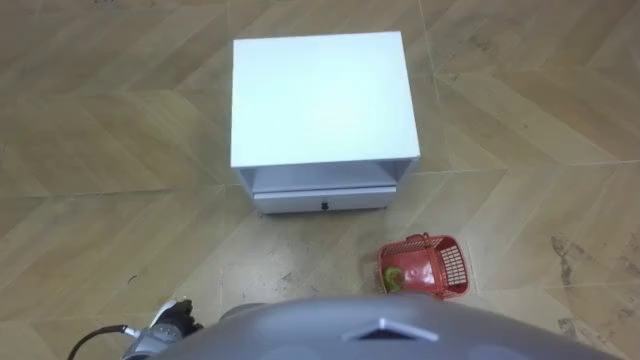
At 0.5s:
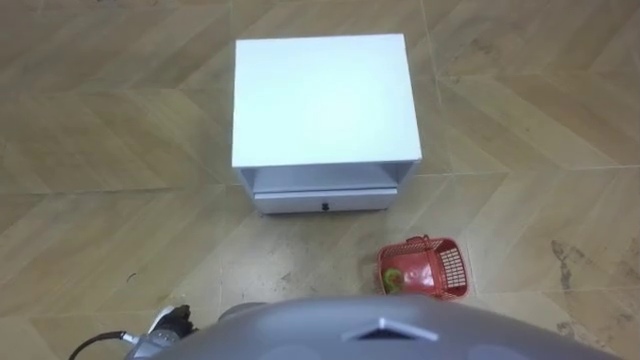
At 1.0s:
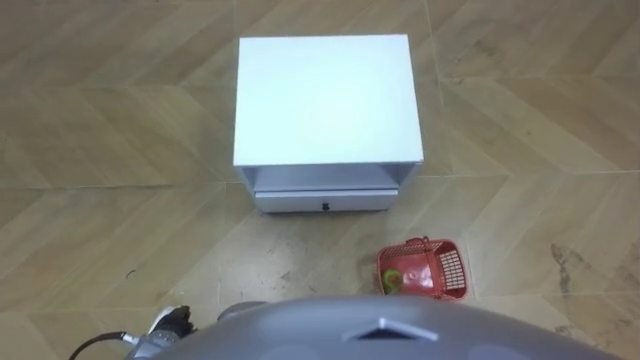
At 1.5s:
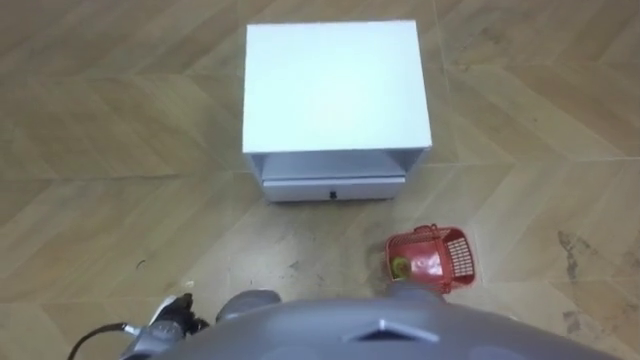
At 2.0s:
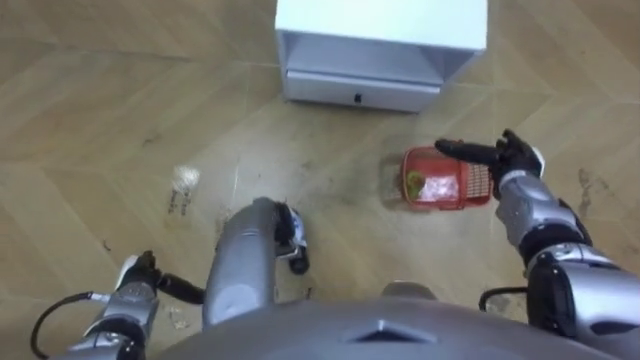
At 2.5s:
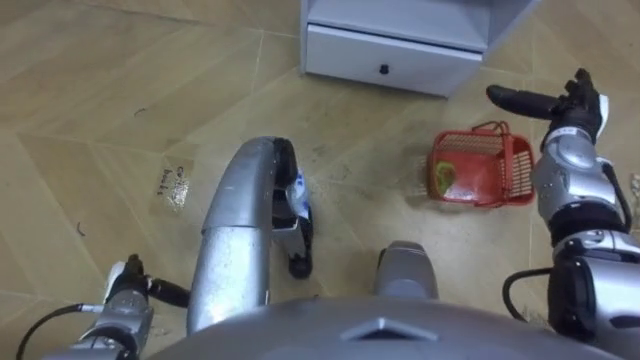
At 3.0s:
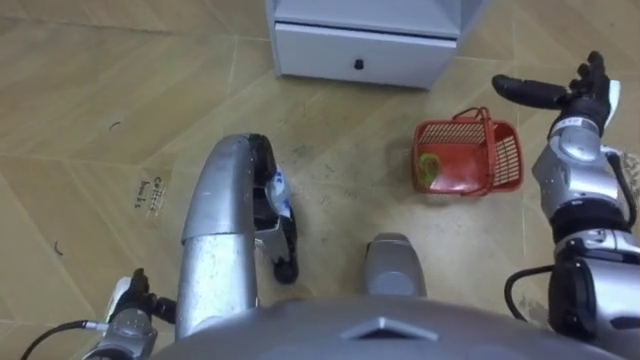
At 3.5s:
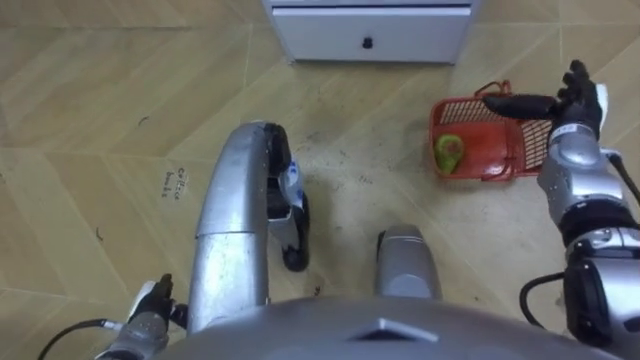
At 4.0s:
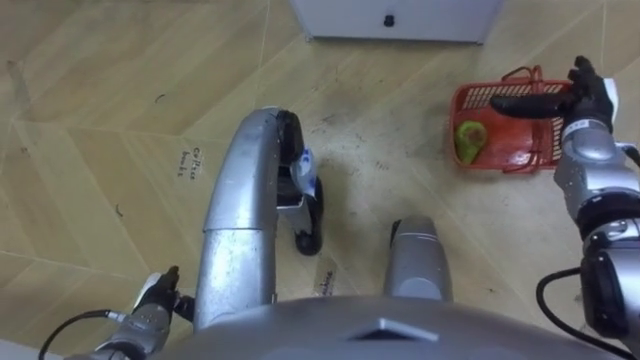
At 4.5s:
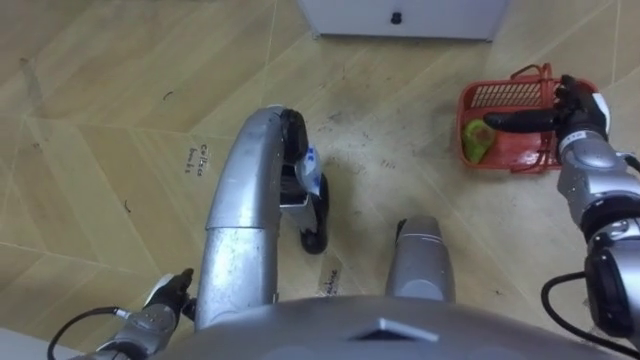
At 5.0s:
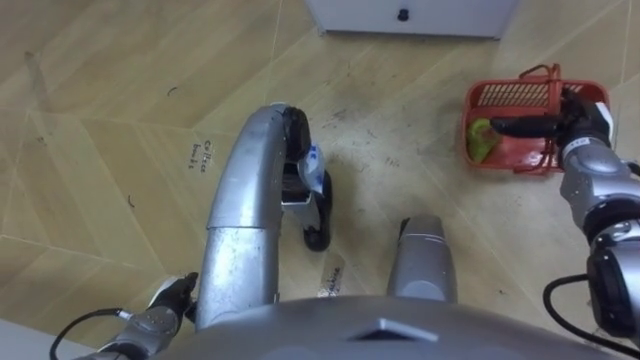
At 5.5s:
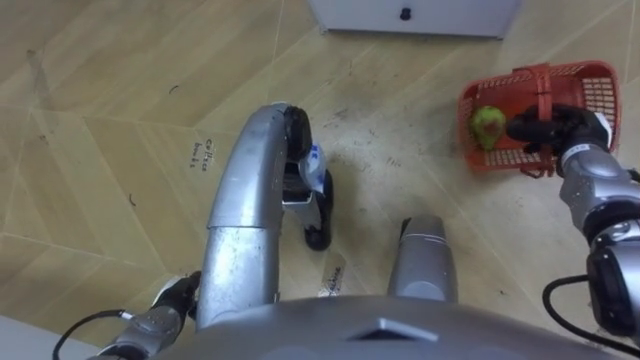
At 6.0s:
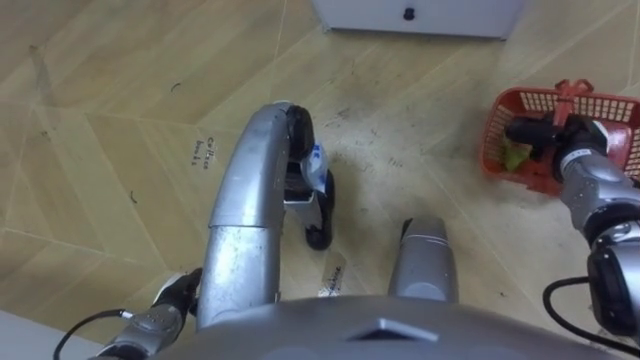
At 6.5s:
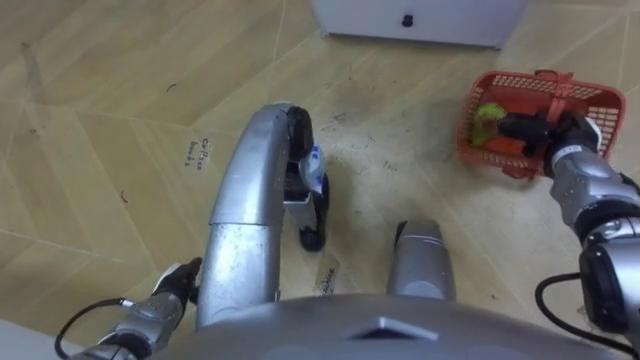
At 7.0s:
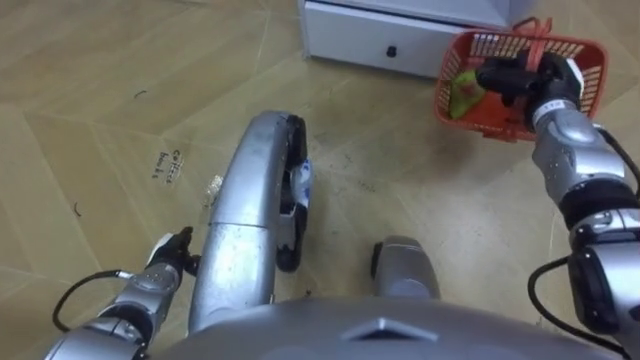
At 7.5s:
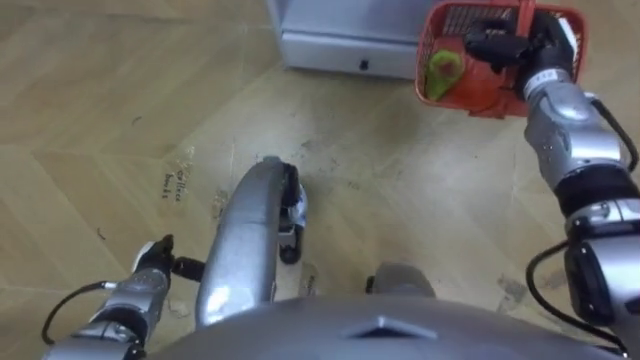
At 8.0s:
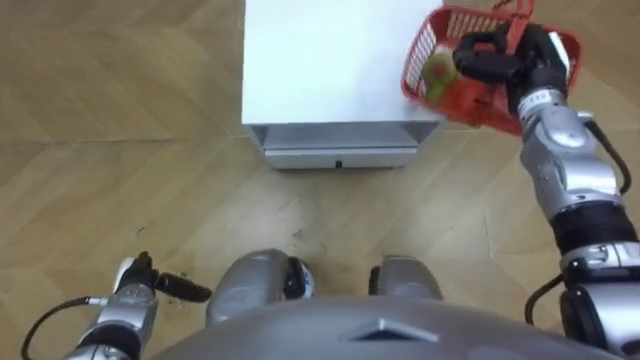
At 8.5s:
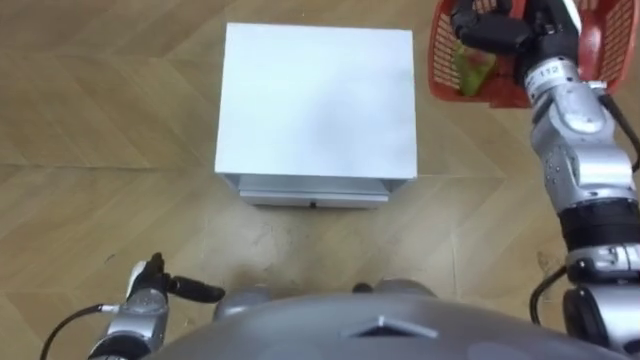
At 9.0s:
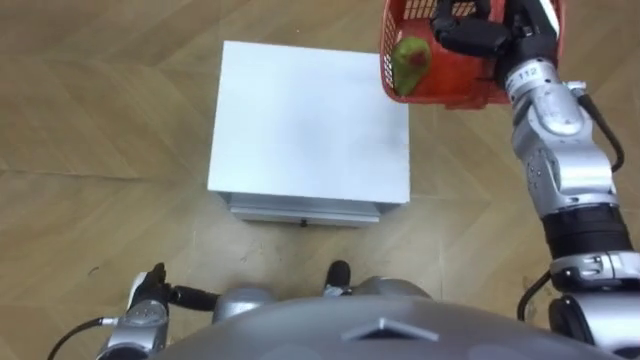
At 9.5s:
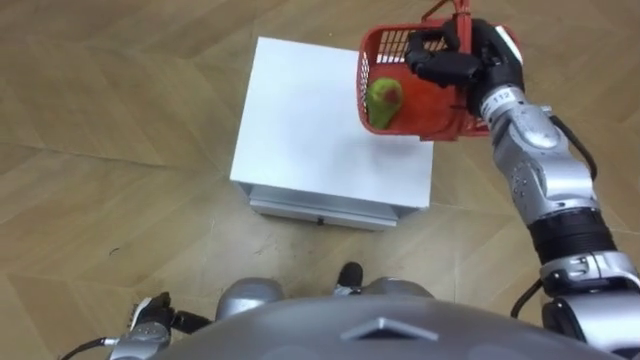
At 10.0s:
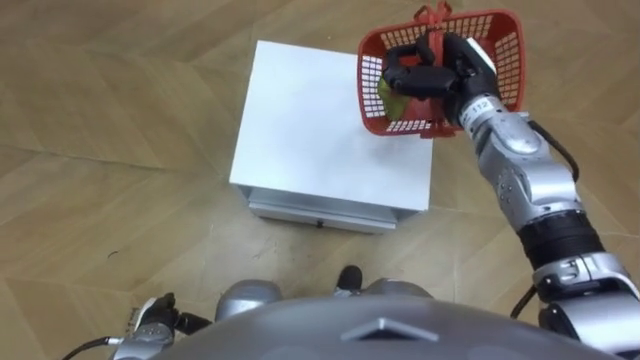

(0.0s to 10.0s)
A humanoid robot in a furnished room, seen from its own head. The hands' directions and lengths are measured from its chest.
Task of the whole recording: Pick up the fruit basket from the floor and place it on the cabinet.
2.0s - 4.0s: The right hand moves upward, to the right and forward, roughly 10 cm.
4.0s - 6.0s: The right hand moves about 5 cm, and closes its fingers.
6.0s - 8.0s: The right hand is displaced upward, to the left and forward by roughly 15 cm; the left hand shifts about 5 cm to the left.
8.0s - 10.0s: The left hand goes approximately 5 cm backward, while the right hand is displaced to the left by approximately 10 cm.

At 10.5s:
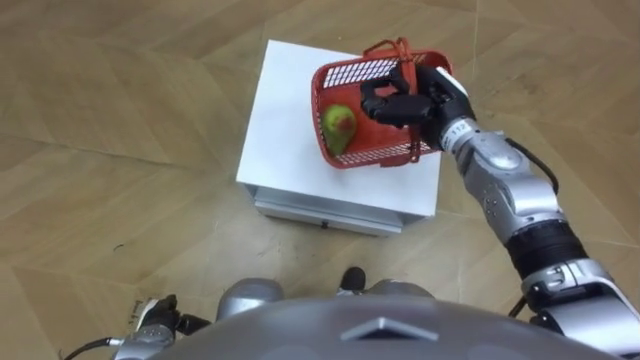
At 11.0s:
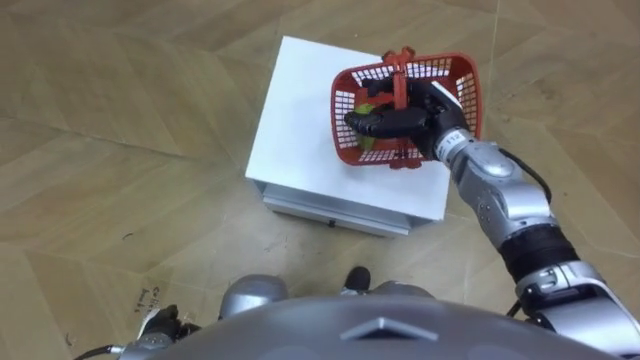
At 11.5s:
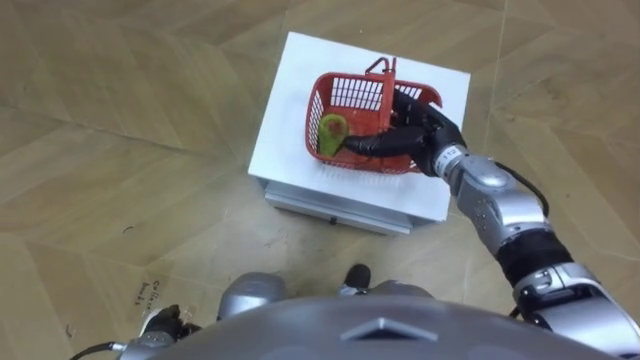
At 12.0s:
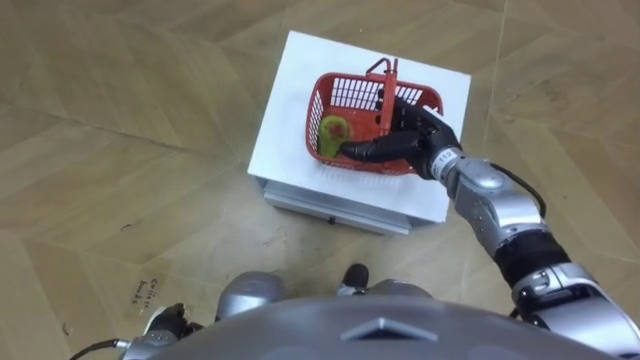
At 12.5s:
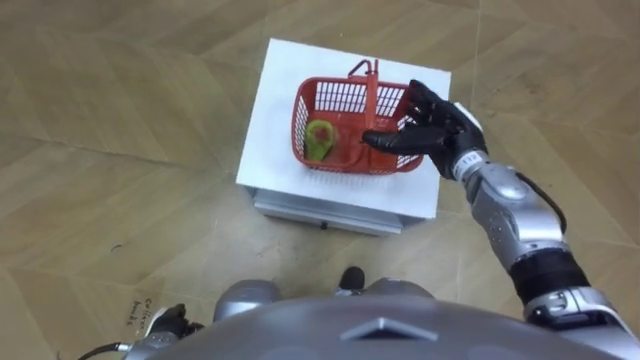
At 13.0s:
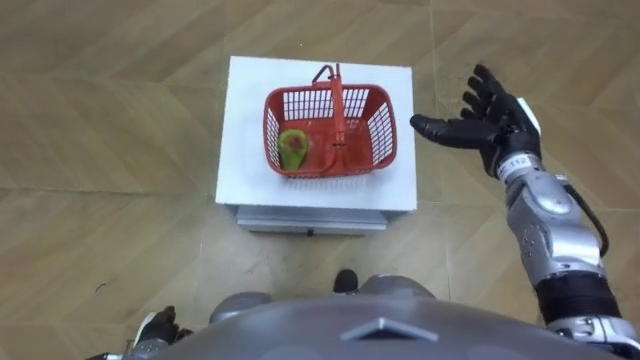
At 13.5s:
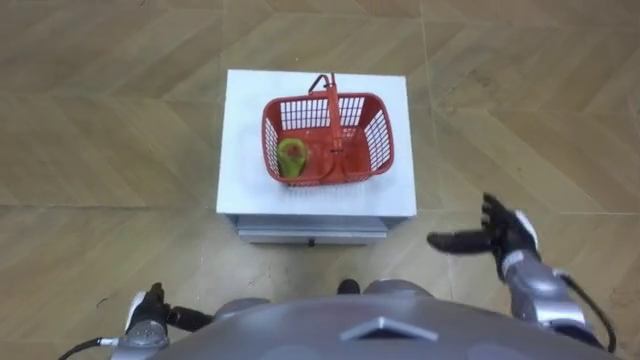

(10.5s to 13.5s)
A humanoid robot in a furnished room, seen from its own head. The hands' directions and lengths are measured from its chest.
Task of the whole recording: Pick up the fruit basket from the floor and place it on the cabinet.
10.5s - 12.0s: The right hand changes place by some 5 cm, and opens up.
12.0s - 13.5s: The right hand heads to the right, backward and downward, covering roughly 20 cm.

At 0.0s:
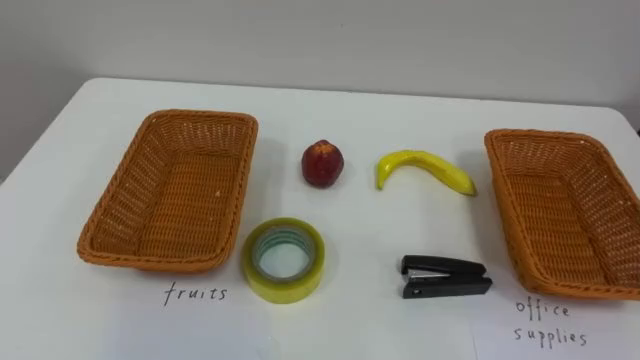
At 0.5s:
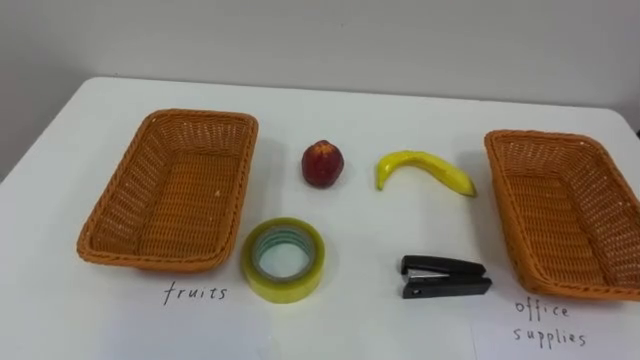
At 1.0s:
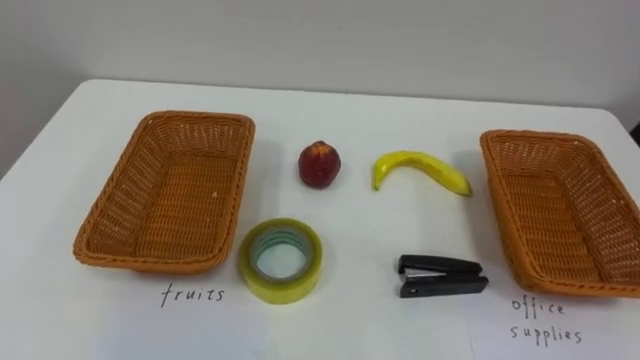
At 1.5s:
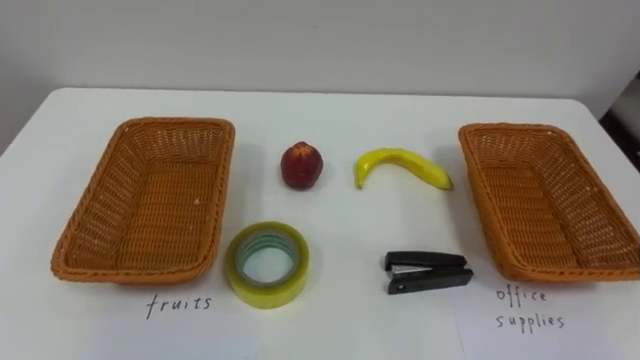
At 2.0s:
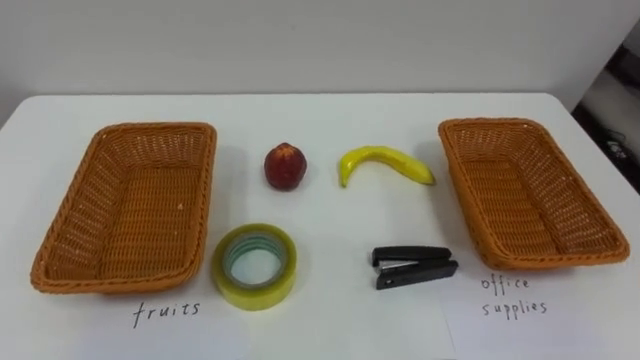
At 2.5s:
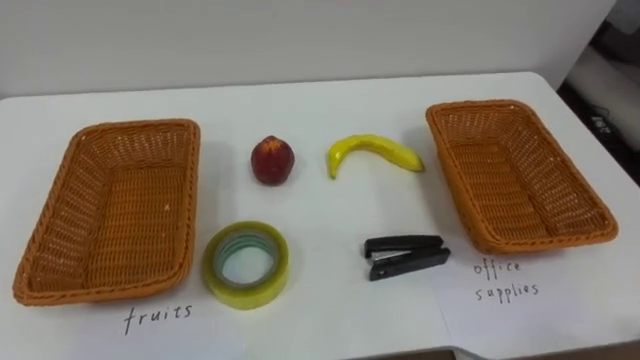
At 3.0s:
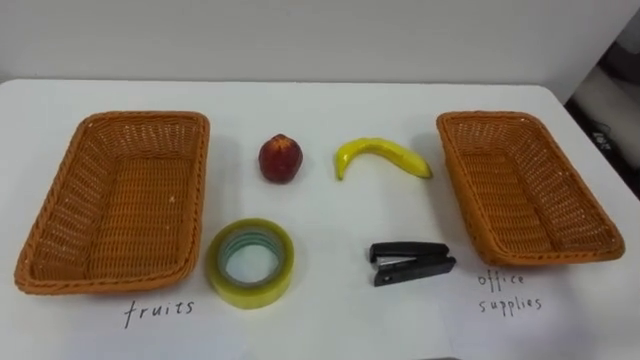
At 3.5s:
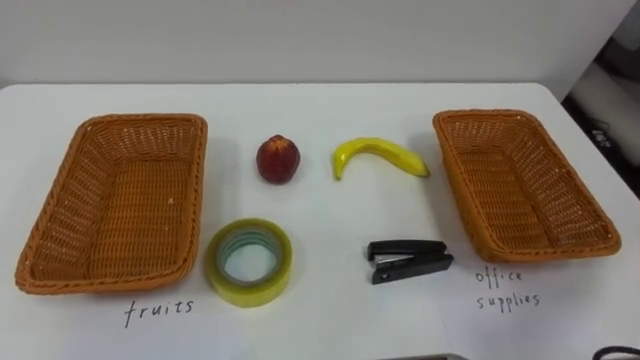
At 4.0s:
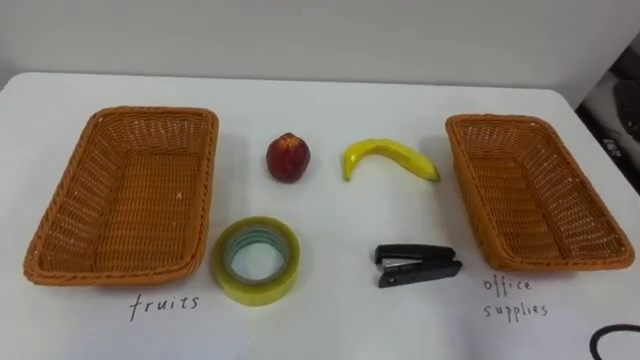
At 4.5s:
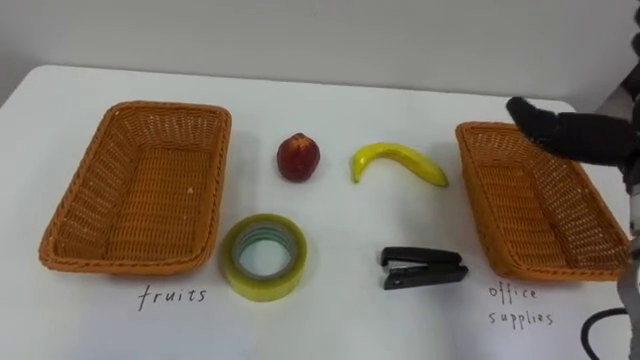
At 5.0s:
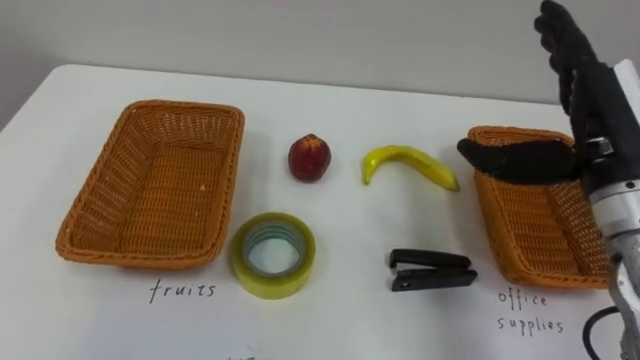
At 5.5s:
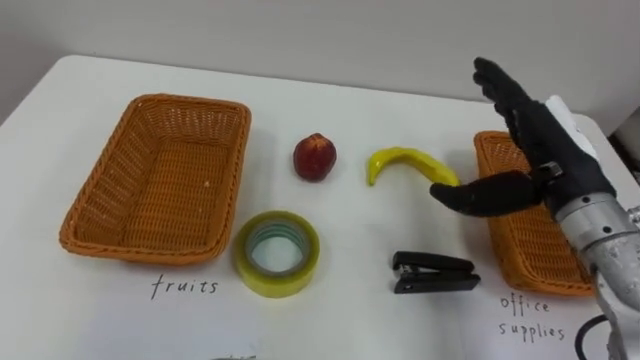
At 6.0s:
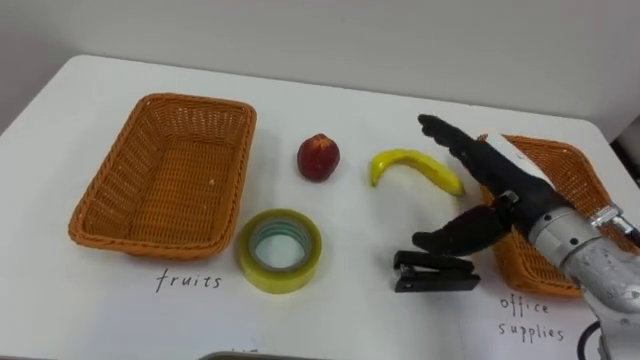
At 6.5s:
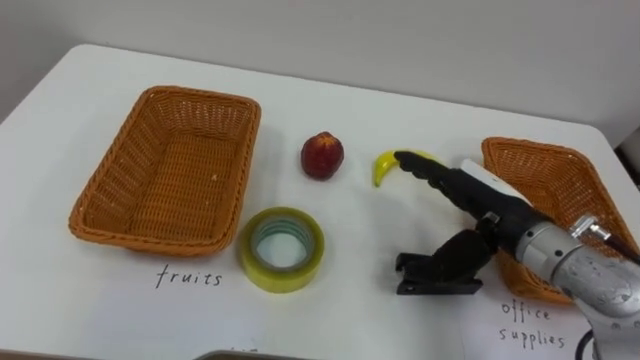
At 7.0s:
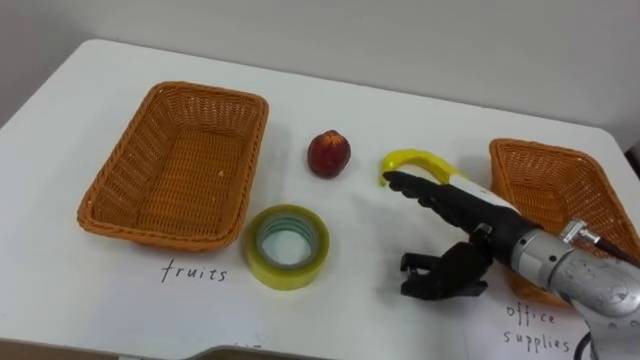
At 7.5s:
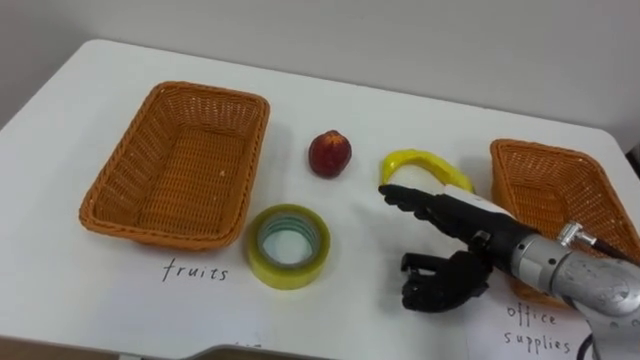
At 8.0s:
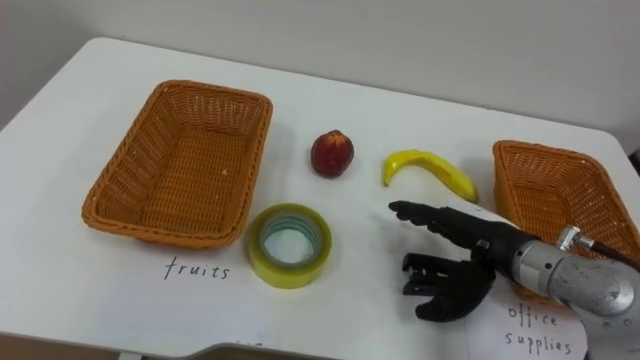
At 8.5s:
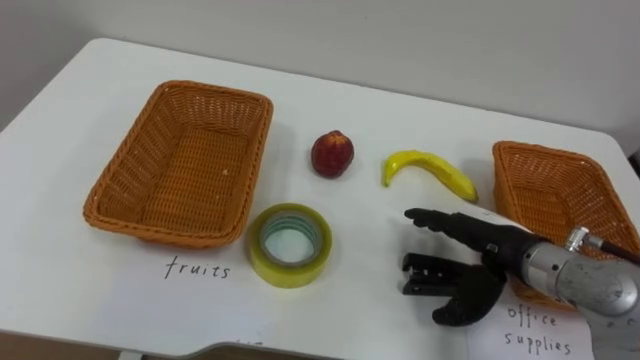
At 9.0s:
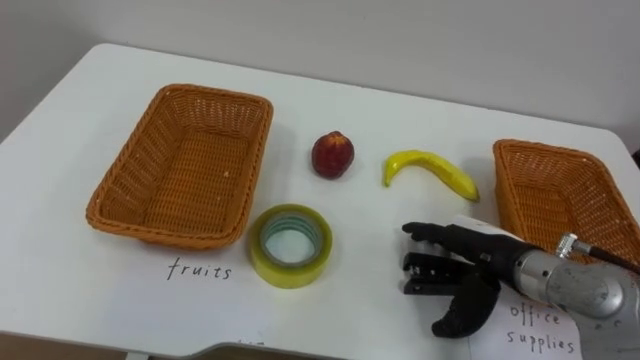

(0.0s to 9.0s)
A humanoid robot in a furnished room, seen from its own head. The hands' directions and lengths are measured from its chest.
Task of the whole recording: Separate the items on the table and place them into the two baskets.
7.0s - 9.0s: The right hand moves roughly 5 cm.
